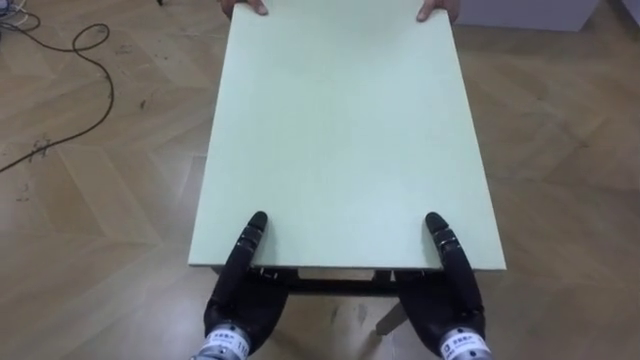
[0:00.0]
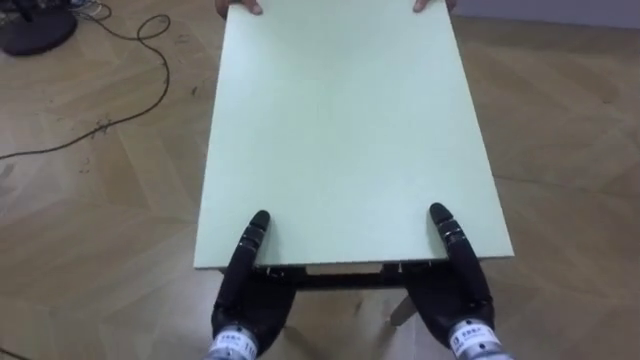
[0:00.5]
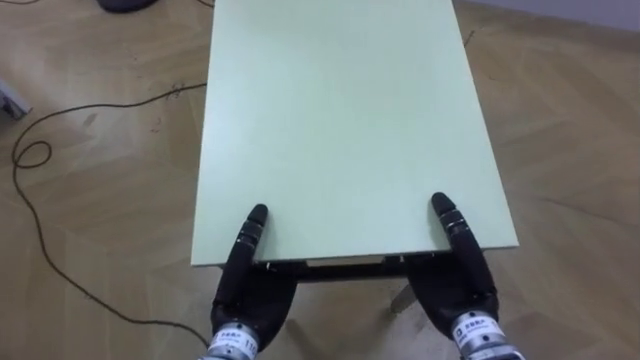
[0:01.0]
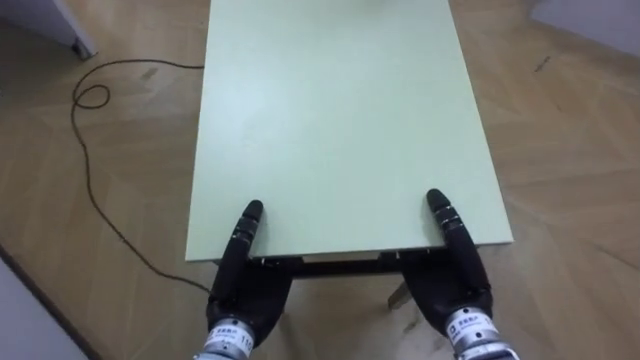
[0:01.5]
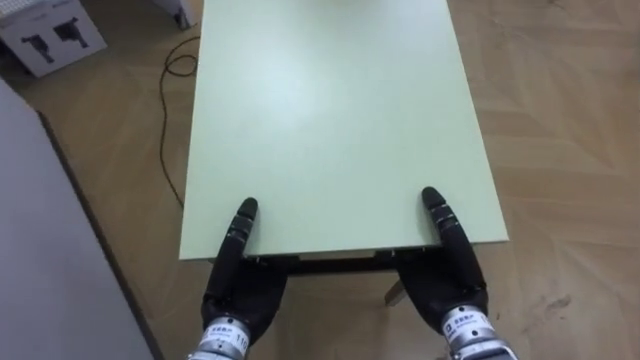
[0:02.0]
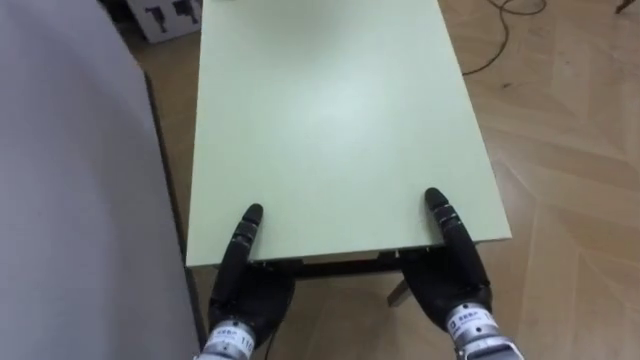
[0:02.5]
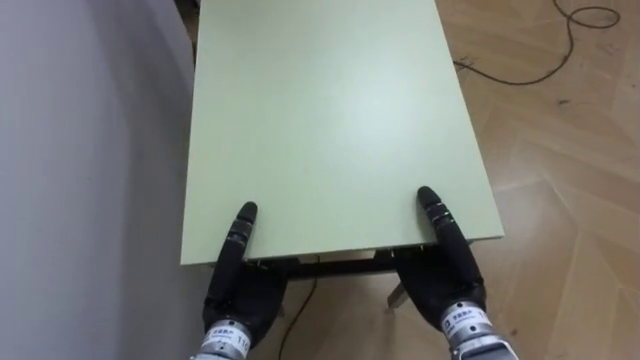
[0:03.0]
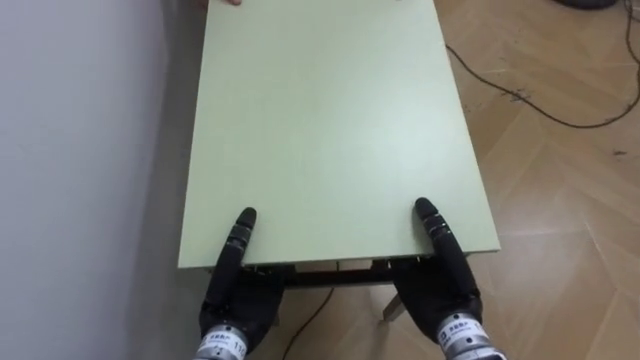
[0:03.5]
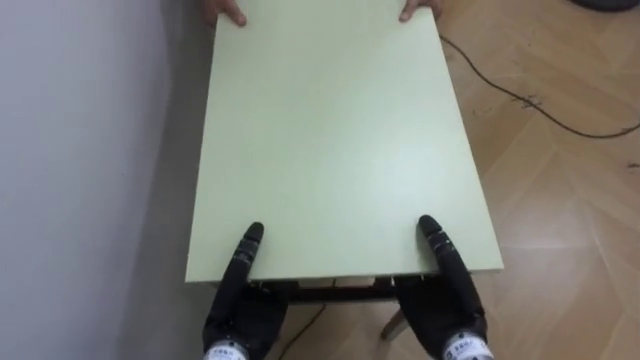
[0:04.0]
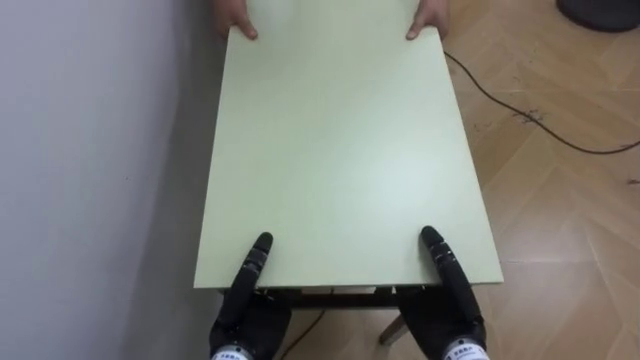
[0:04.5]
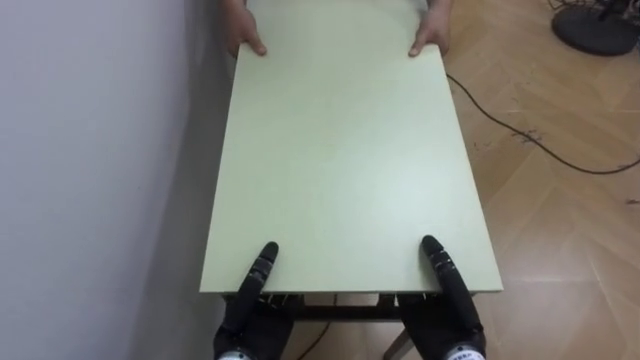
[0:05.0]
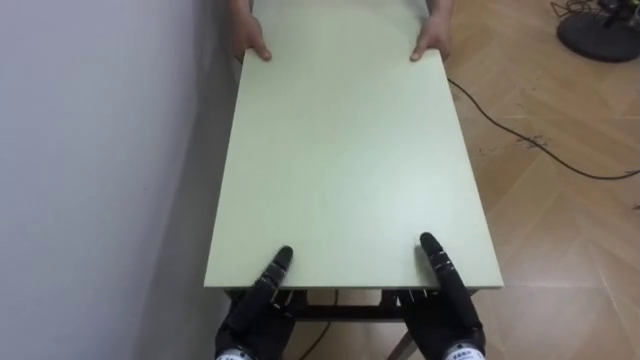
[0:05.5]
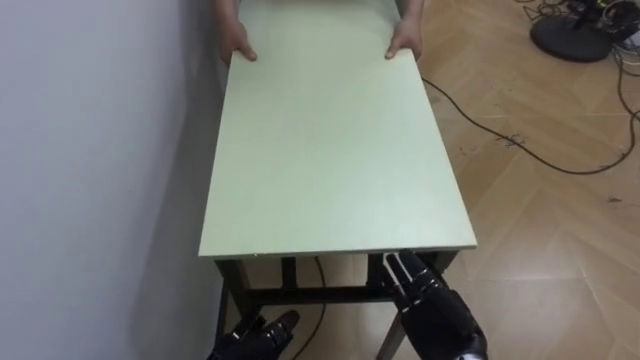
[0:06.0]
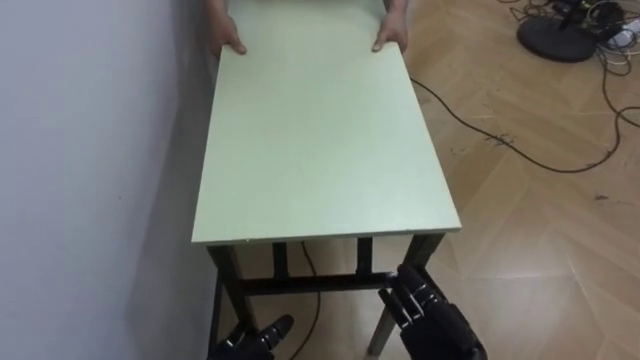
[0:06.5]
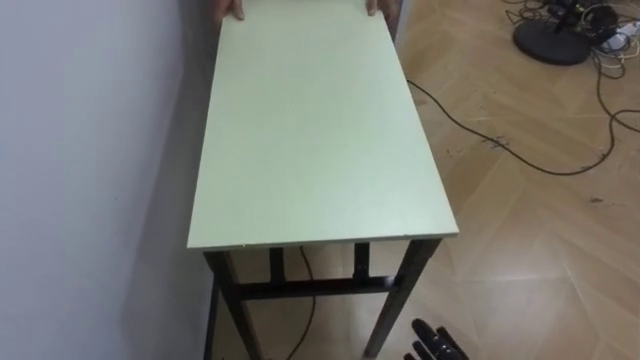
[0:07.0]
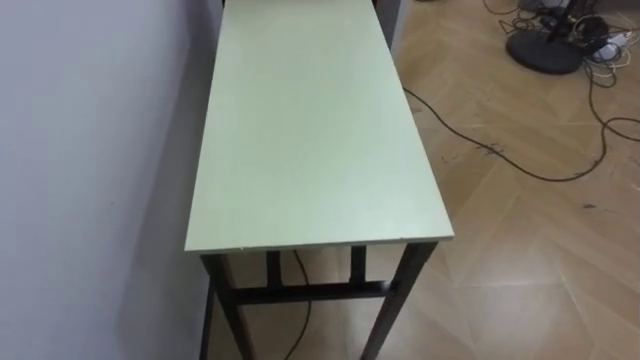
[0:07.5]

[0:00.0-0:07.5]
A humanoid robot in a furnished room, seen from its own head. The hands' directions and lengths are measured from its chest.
Task of the whole recording: Move the table to the back left with someone.
0:00.0 to 0:02.0: The robot turns to its left by some 45 degrees.
0:02.0 to 0:04.0: The robot faces roughly 40 degrees further to its left.

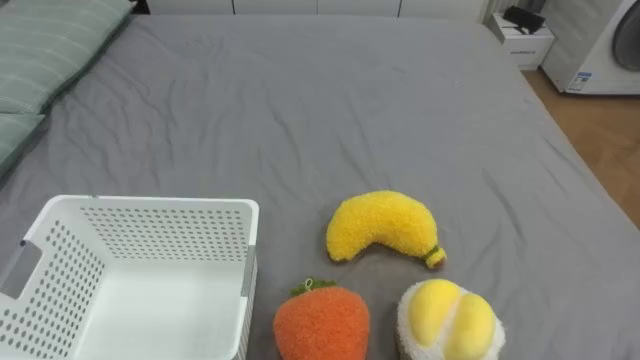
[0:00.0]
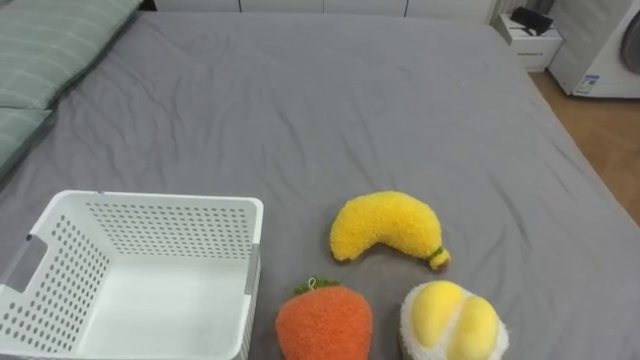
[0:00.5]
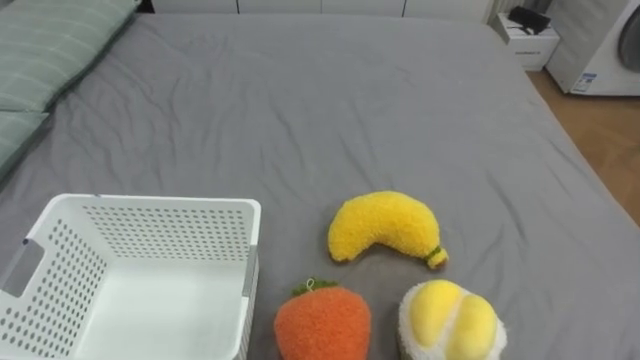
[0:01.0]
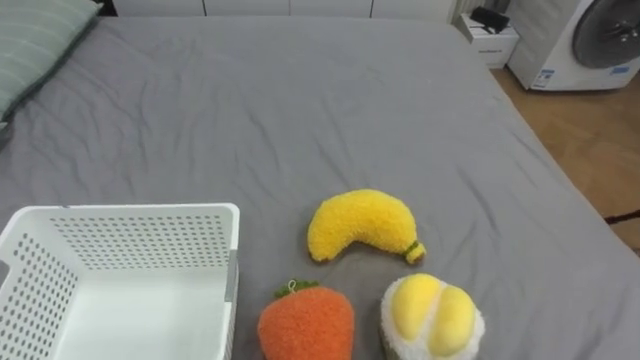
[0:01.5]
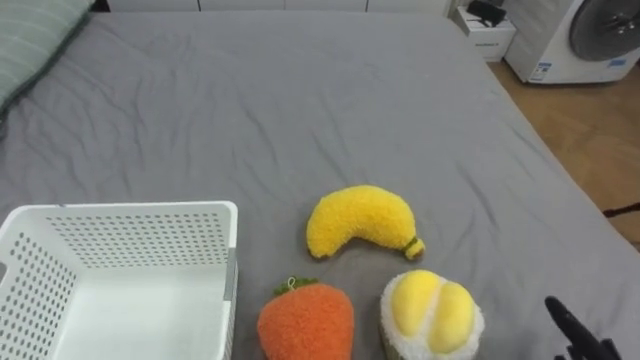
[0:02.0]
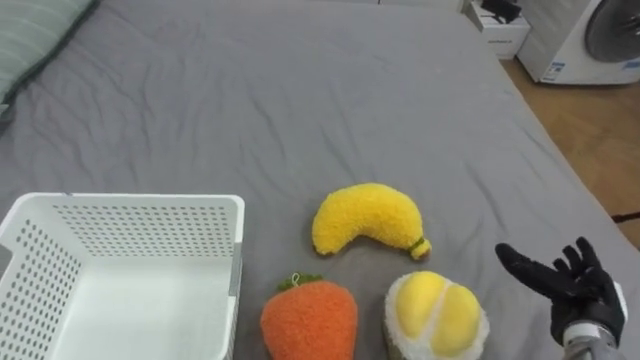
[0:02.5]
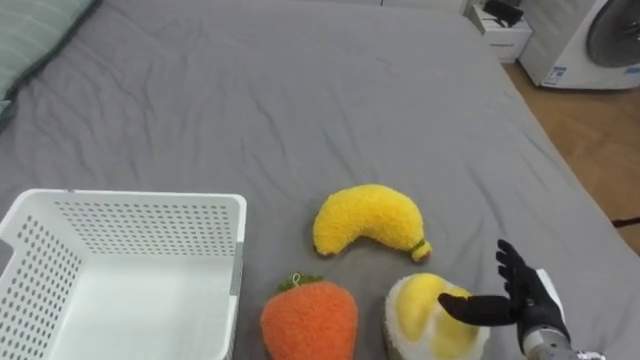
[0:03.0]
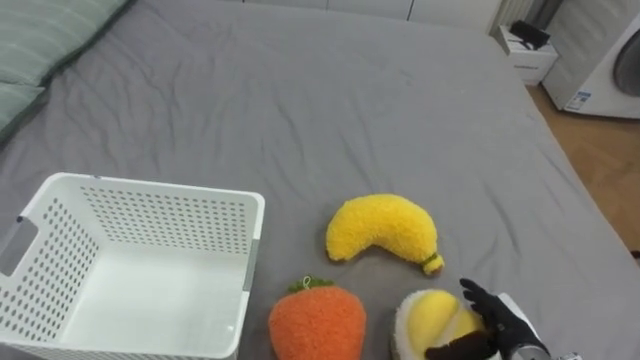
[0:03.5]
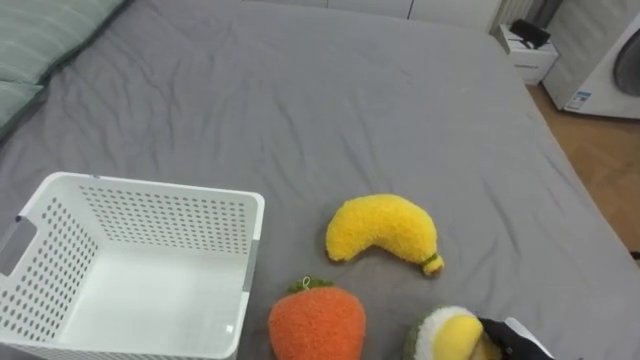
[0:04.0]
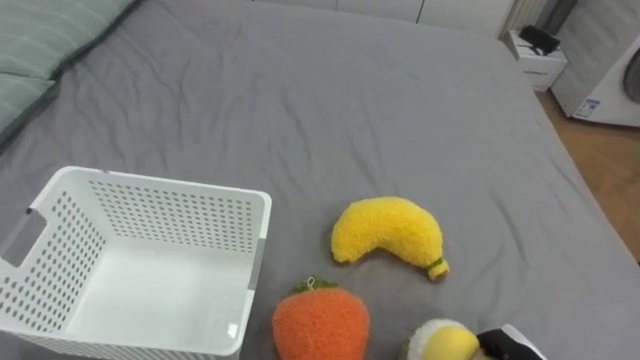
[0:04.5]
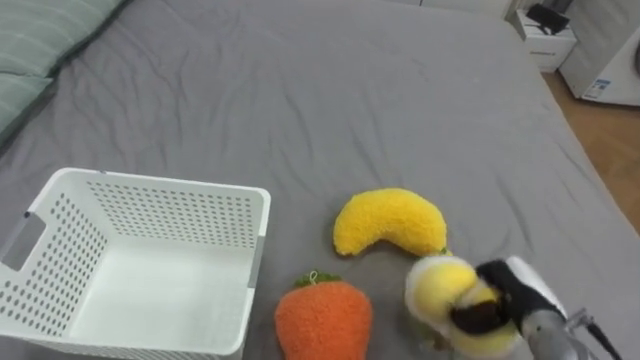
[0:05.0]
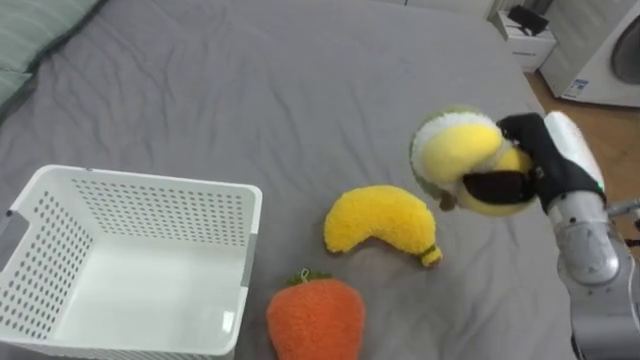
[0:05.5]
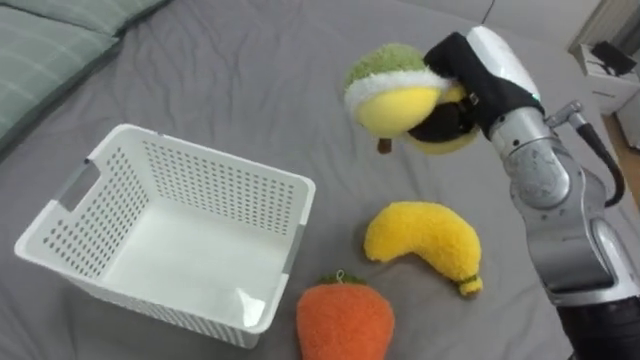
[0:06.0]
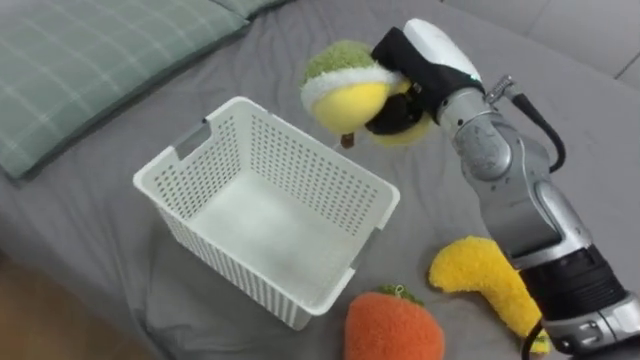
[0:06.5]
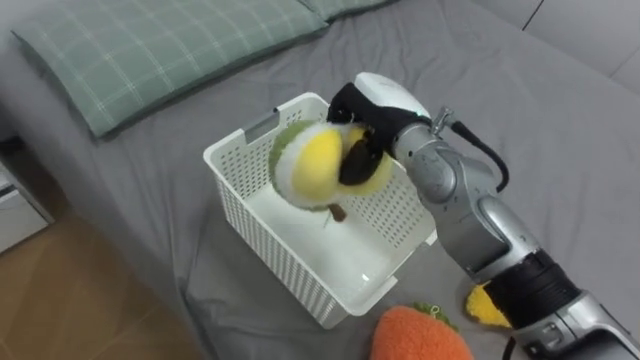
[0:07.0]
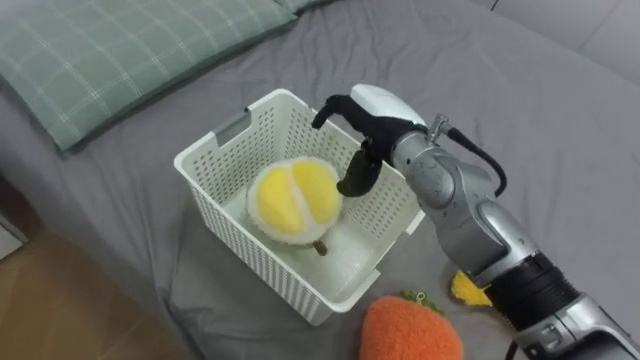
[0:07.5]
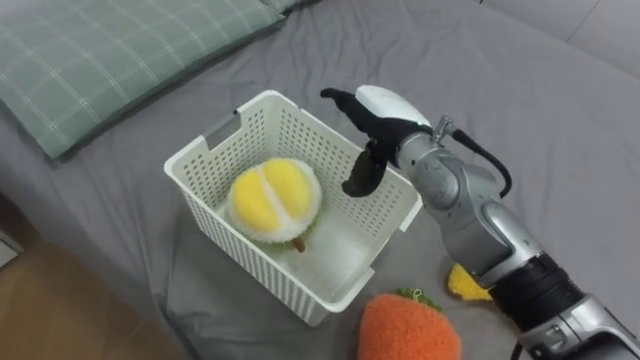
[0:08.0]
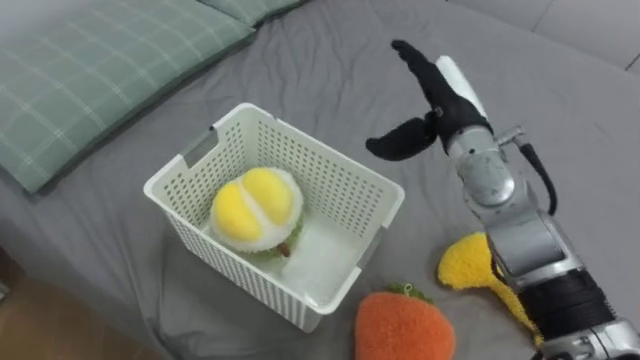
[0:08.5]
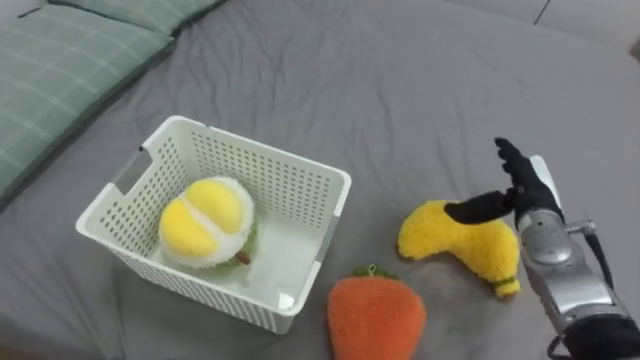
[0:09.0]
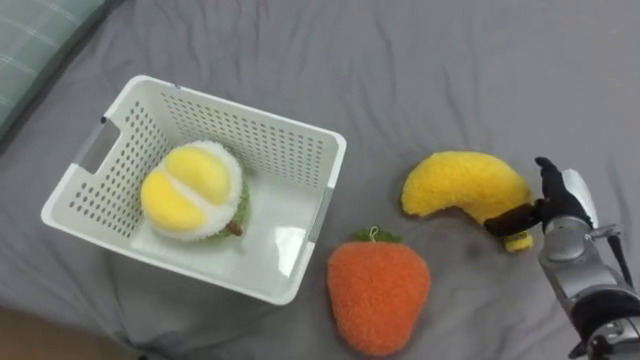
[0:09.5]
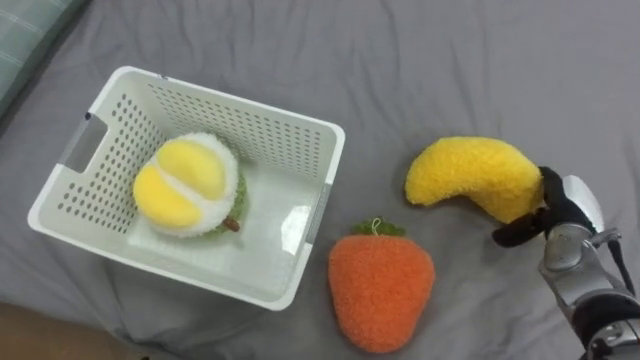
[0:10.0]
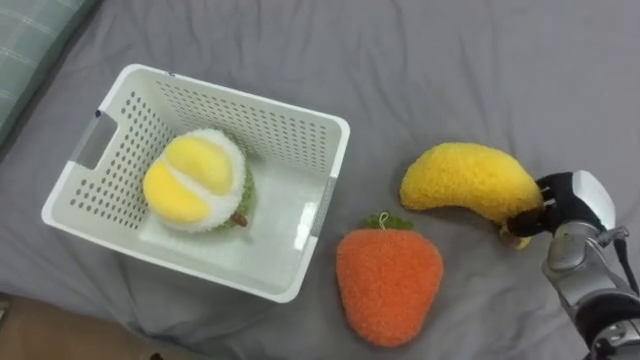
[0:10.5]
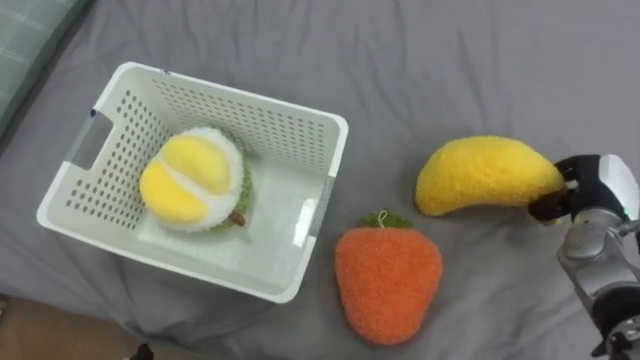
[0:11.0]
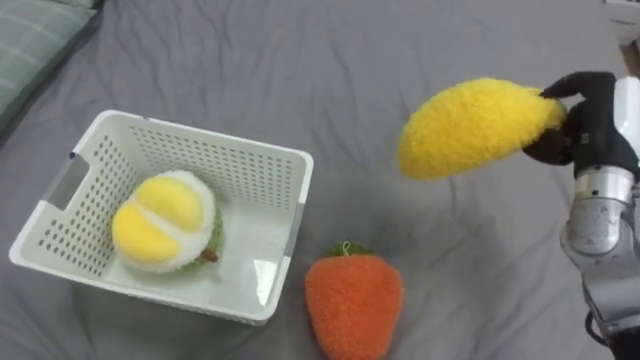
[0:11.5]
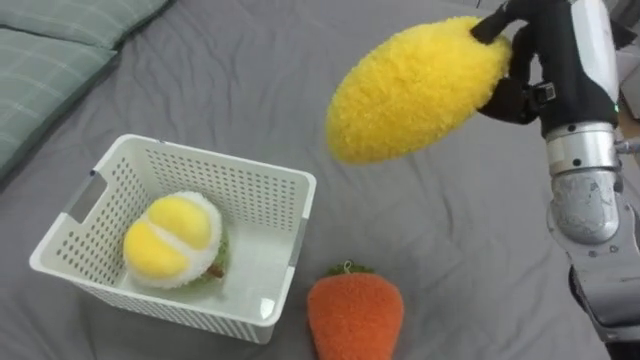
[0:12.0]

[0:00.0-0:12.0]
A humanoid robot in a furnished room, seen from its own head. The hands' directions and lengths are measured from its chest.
Task of the whole recording: Put the toys on the bed into the basket on the left.
0:04.0 to 0:06.0: The right hand is displaced upward and forward by some 35 cm, and closes.
0:06.0 to 0:08.0: The right hand moves to the left and downward, about 10 cm, and opens.
0:08.0 to 0:10.0: The right hand shifts roughly 30 cm to the right and downward.
0:10.0 to 0:12.0: The right hand heads upward and to the left, covering some 25 cm, and closes its fingers.
